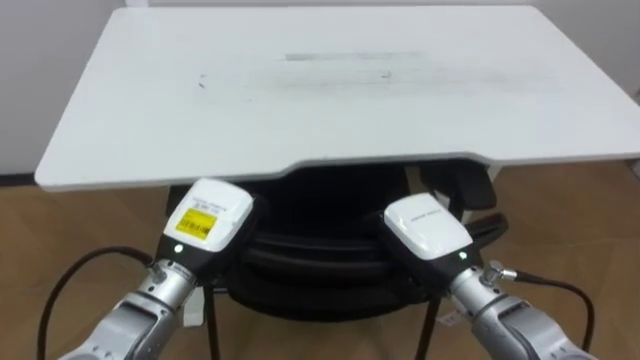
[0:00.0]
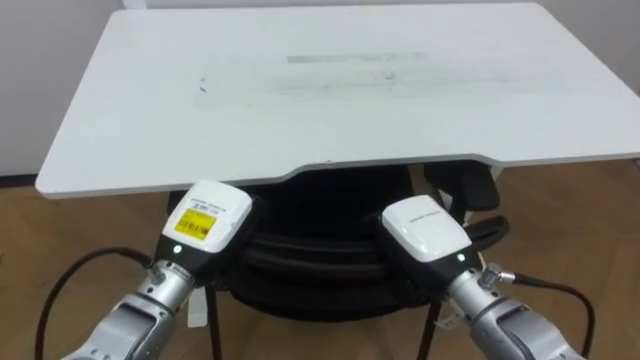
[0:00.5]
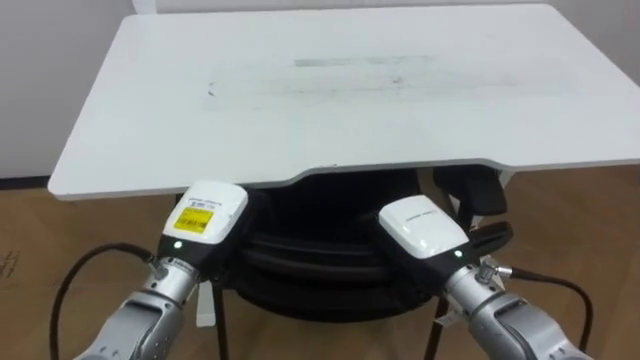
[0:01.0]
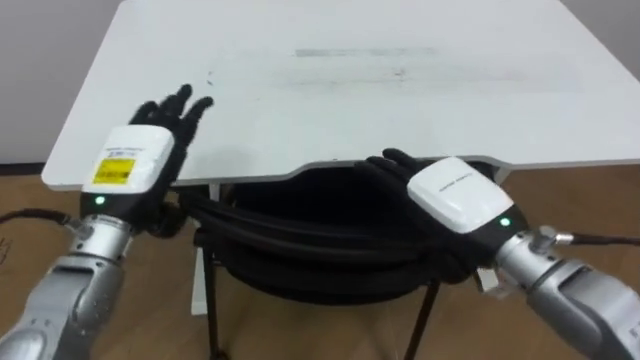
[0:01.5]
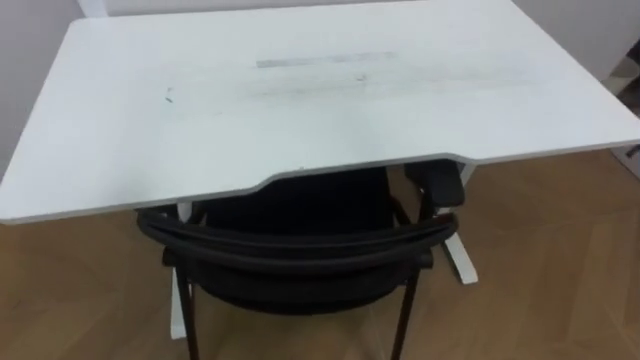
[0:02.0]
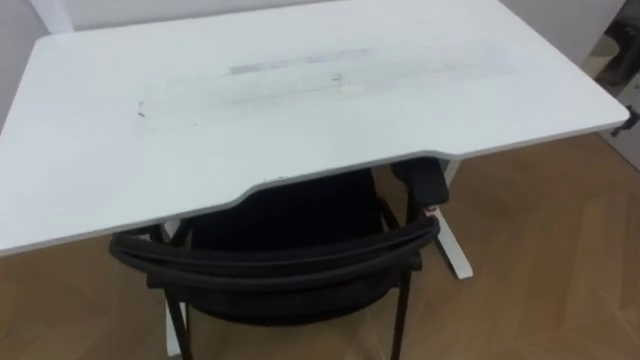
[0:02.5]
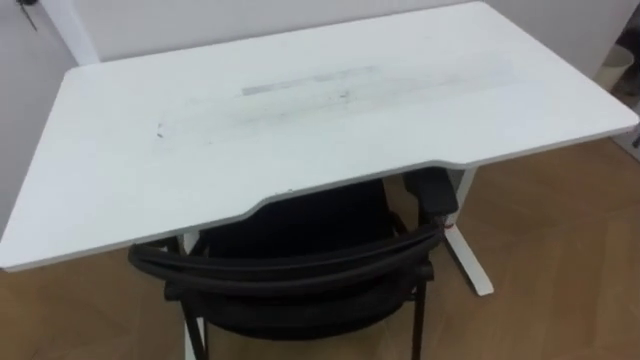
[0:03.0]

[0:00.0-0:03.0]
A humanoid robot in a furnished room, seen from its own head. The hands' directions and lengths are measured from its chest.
Task of the whole recording: Push the chair under the table.
0:00.0 to 0:01.5: The left hand travels to the left and upward by roughly 10 cm, and opens. The right hand shifts approximately 5 cm upward, and opens up.

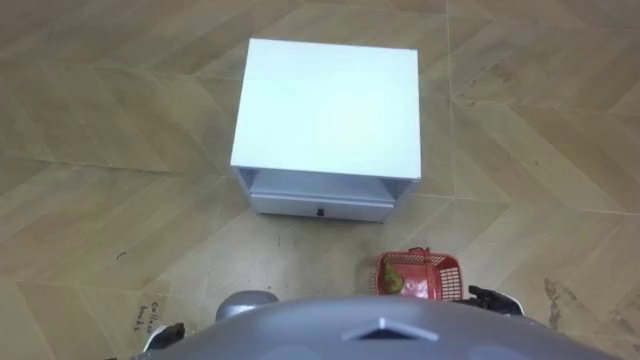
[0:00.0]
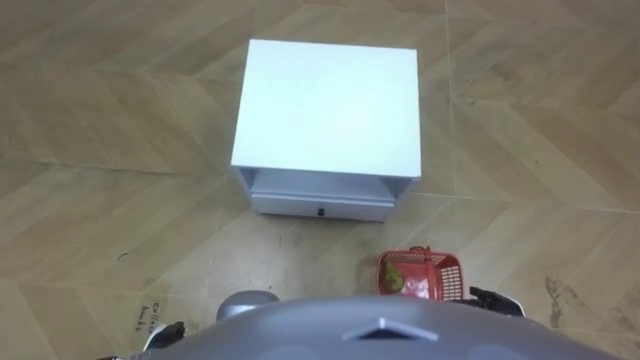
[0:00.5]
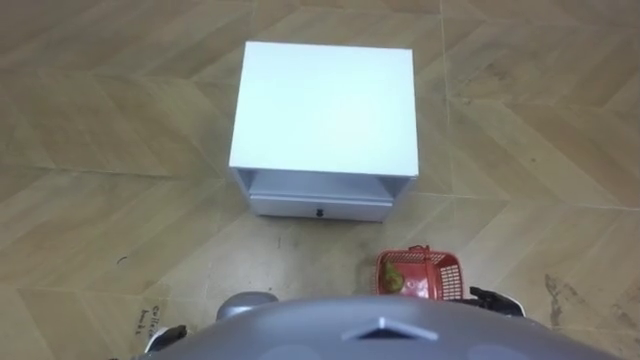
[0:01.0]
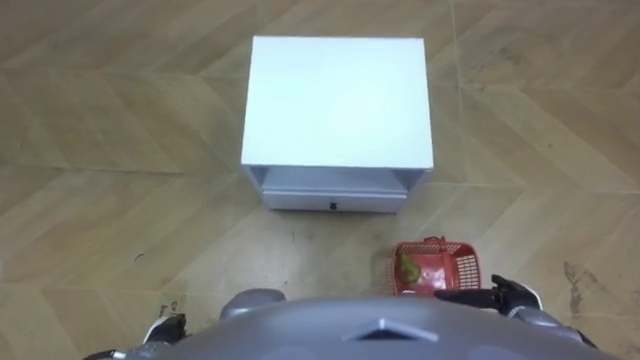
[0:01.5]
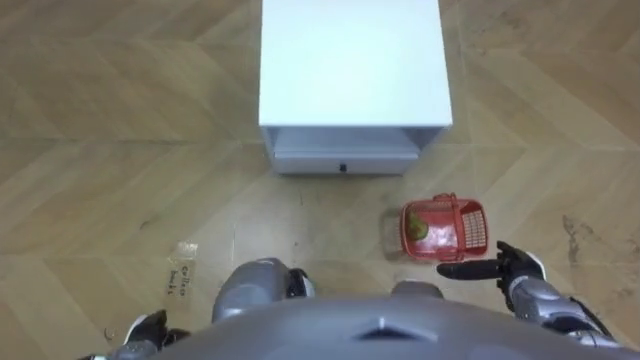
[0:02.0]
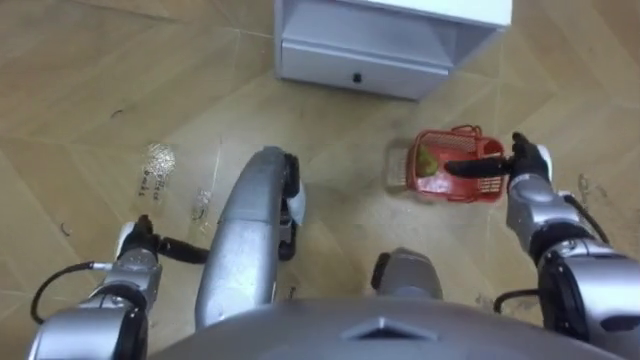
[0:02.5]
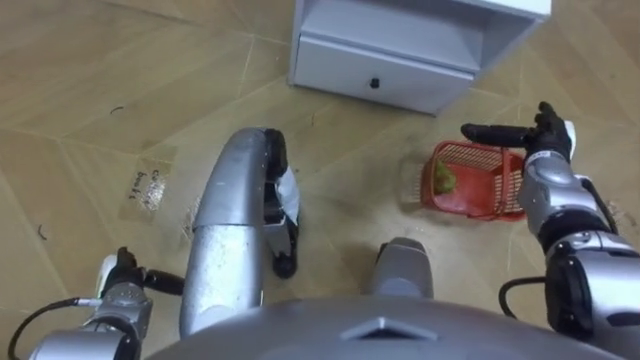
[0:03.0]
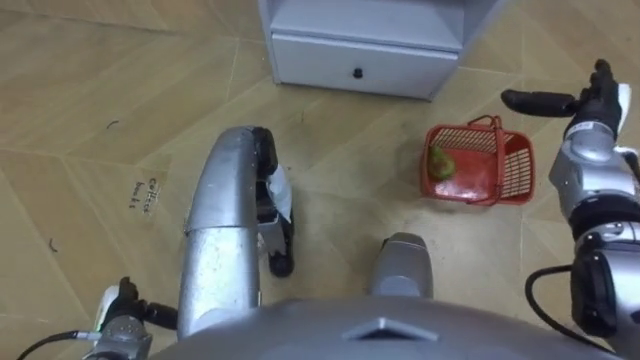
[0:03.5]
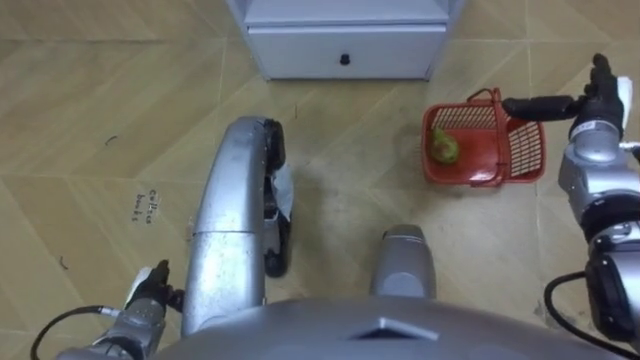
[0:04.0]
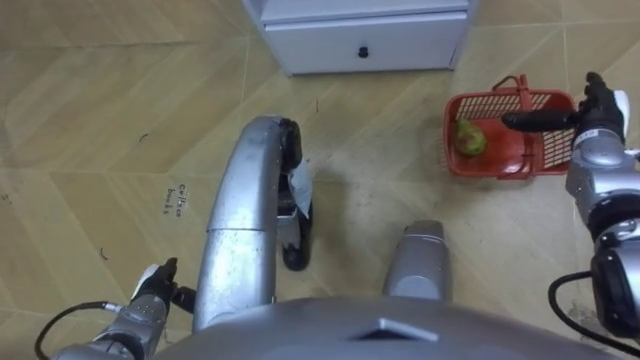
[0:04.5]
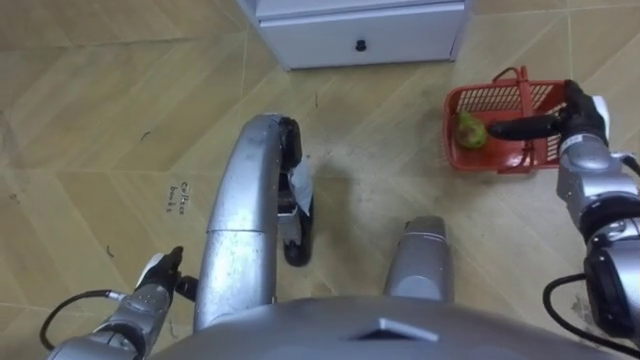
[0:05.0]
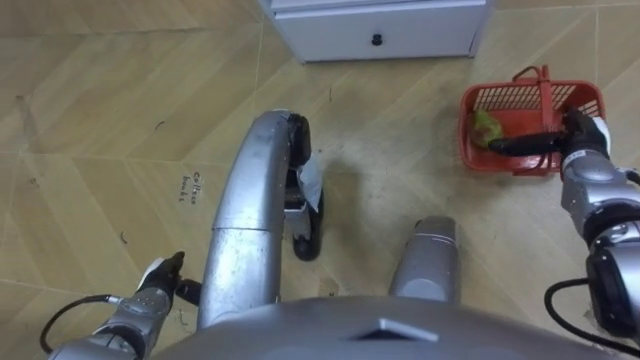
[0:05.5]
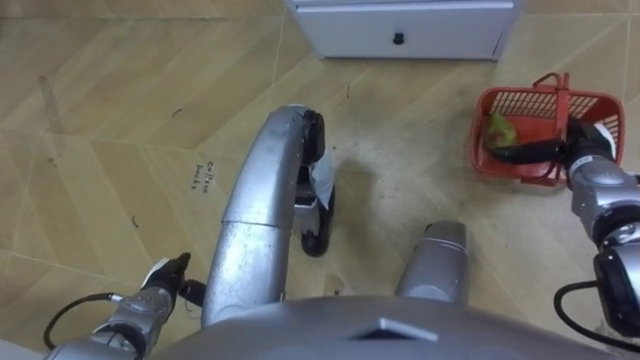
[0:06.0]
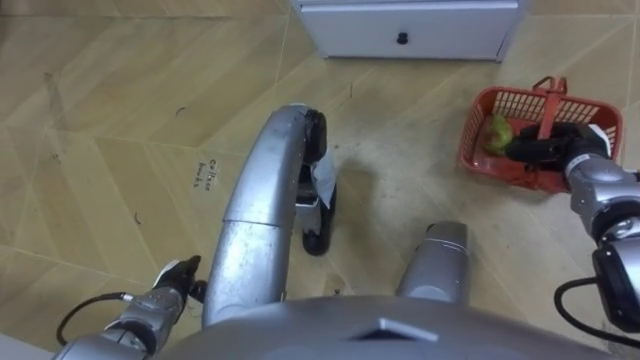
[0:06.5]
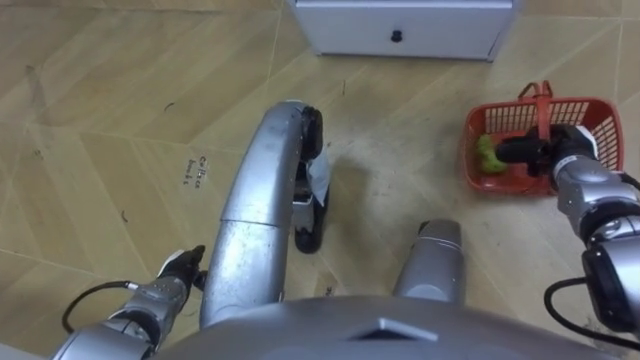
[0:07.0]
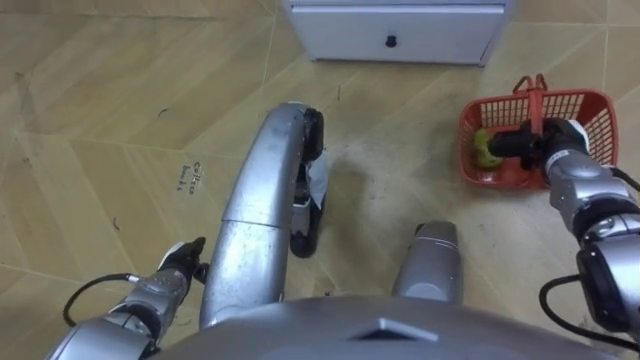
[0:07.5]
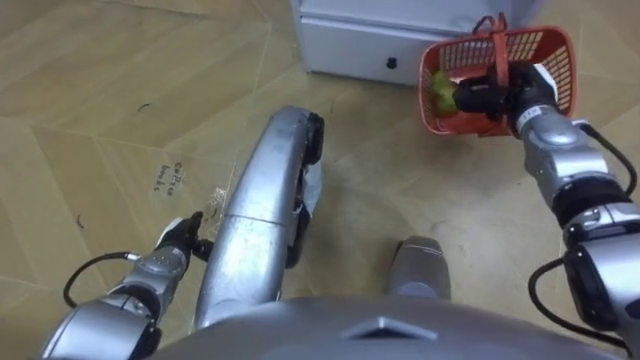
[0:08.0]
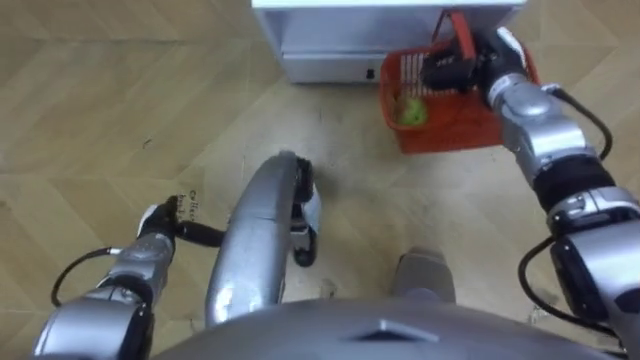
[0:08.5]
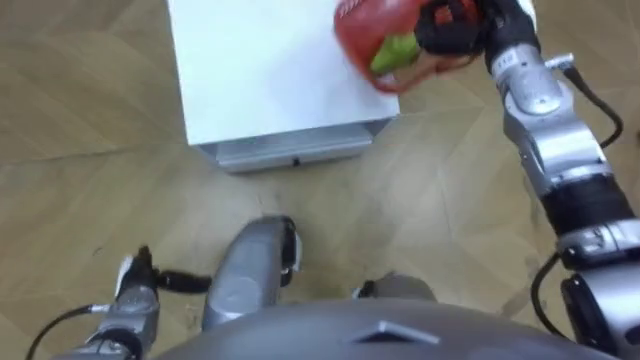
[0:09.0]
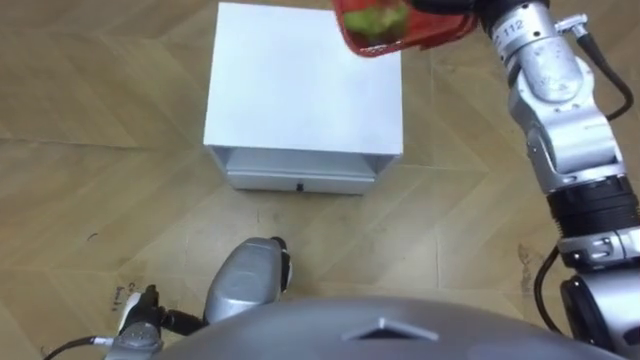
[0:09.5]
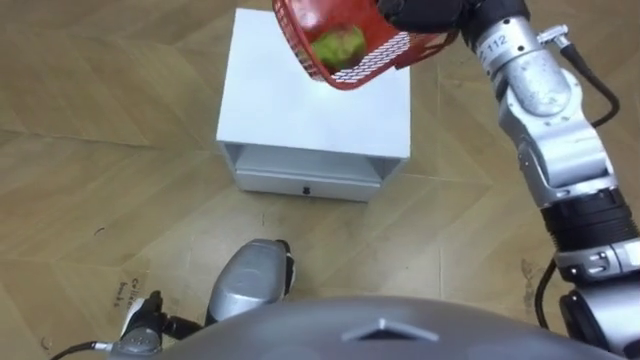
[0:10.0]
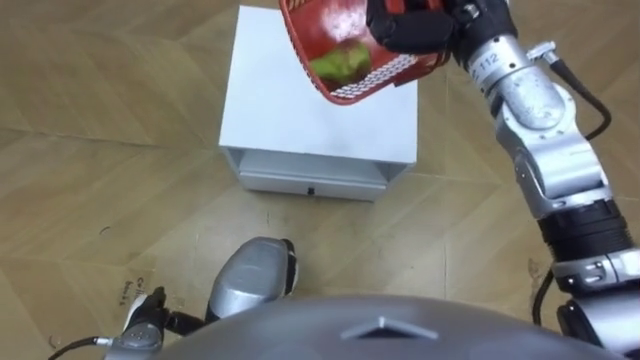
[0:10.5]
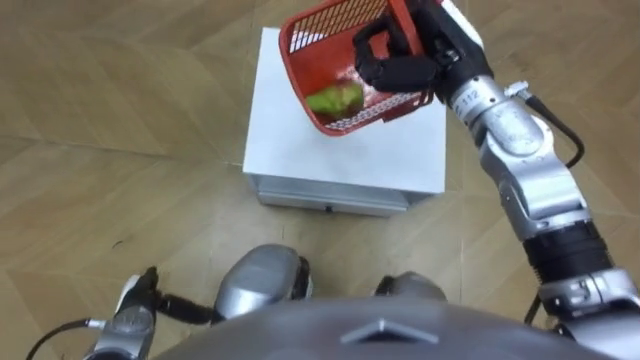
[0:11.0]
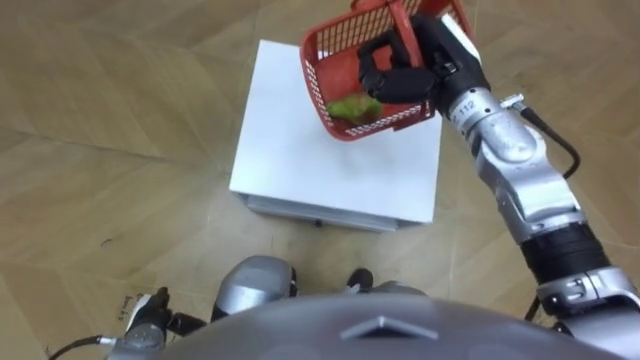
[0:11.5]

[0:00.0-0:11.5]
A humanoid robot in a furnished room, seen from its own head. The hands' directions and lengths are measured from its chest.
Task of the whole recording: Pick up the fruit basket from the floor and place it on the cabinet.
0:02.0 to 0:04.0: The left hand travels forward by about 5 cm. The right hand shifts some 25 cm forward and upward.
0:04.0 to 0:06.0: The right hand shifts by some 5 cm.
0:06.0 to 0:07.5: The right hand closes its fingers.
0:07.5 to 0:09.5: The left hand heads backward and to the left, covering approximately 10 cm.

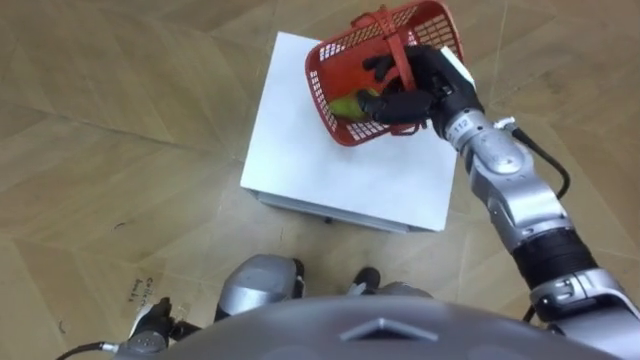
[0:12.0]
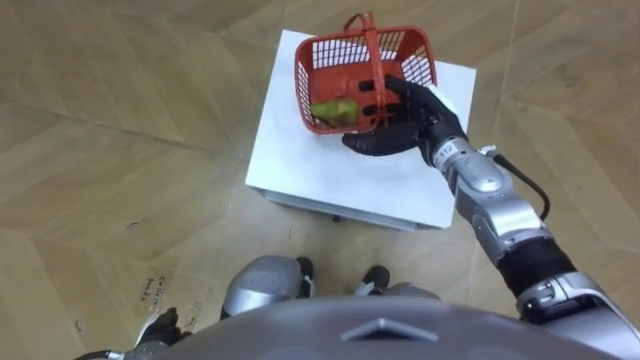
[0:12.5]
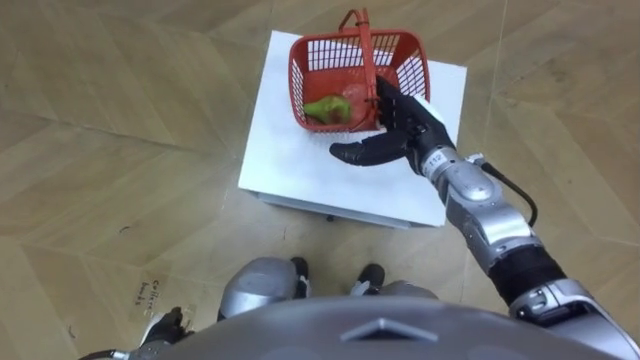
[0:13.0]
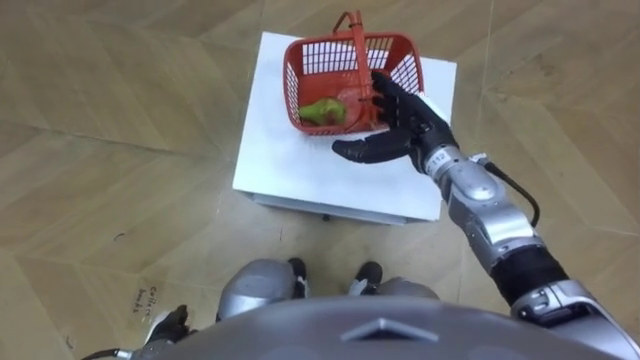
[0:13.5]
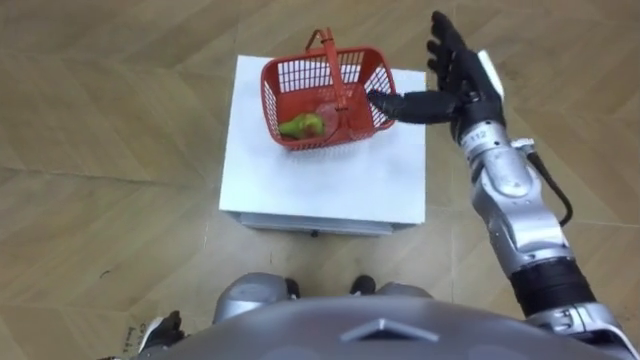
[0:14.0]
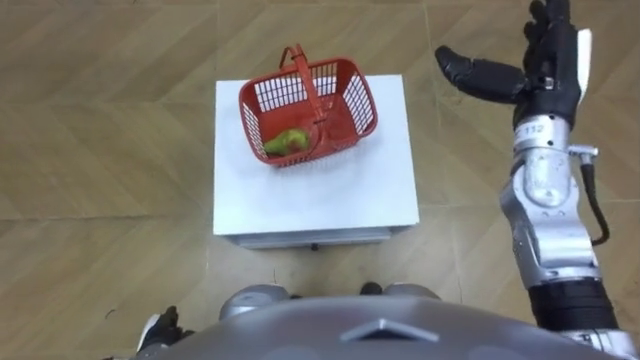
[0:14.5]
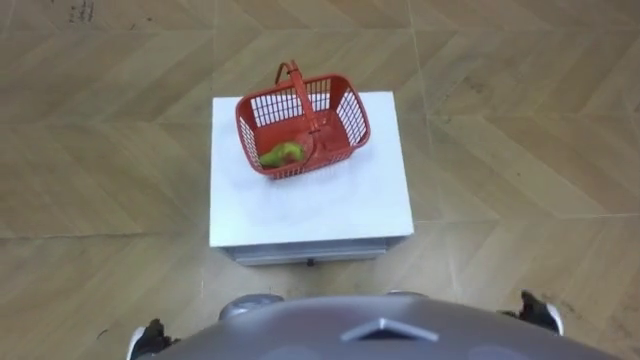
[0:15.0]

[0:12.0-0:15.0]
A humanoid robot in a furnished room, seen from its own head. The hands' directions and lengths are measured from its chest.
Task of the whole recording: Pick up the fruit basket from the floor and place it on the cabinet.
0:12.0 to 0:13.5: The right hand shifts approximately 5 cm downward, and opens up.
0:13.5 to 0:15.0: The right hand travels backward, to the right and downward by approximately 35 cm.

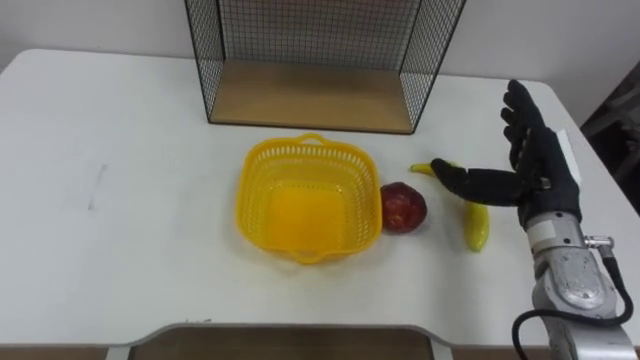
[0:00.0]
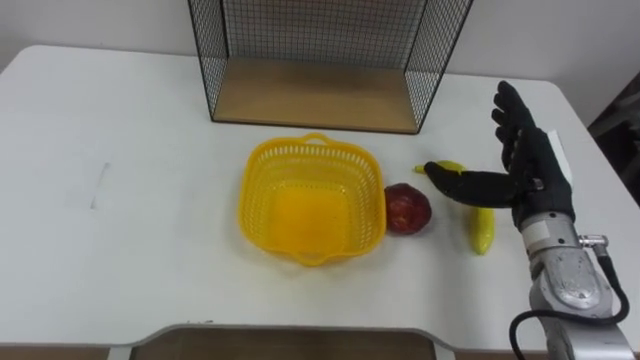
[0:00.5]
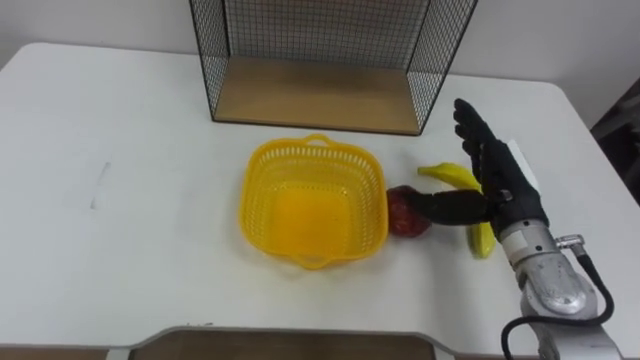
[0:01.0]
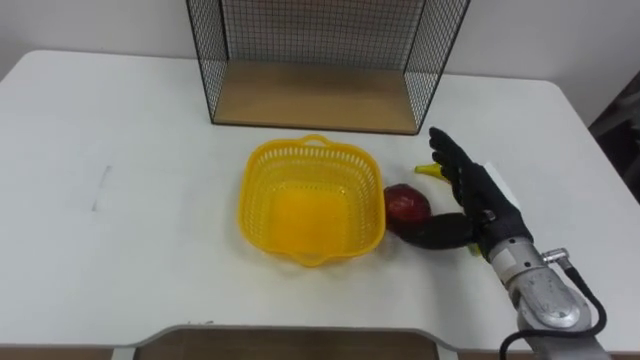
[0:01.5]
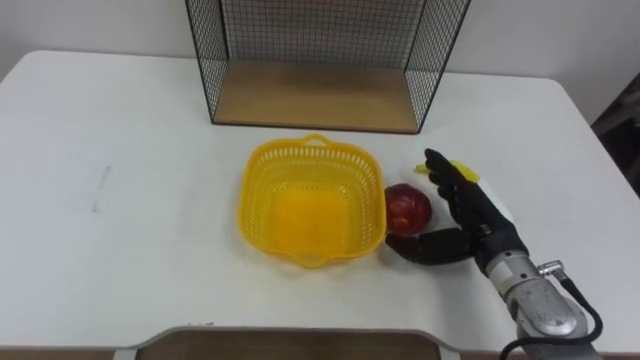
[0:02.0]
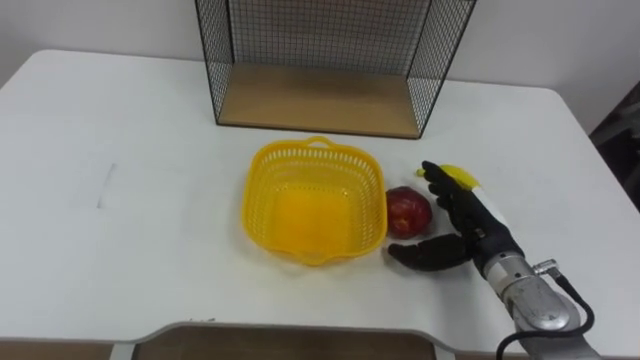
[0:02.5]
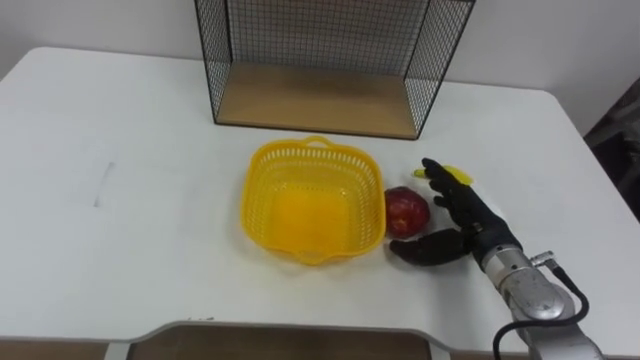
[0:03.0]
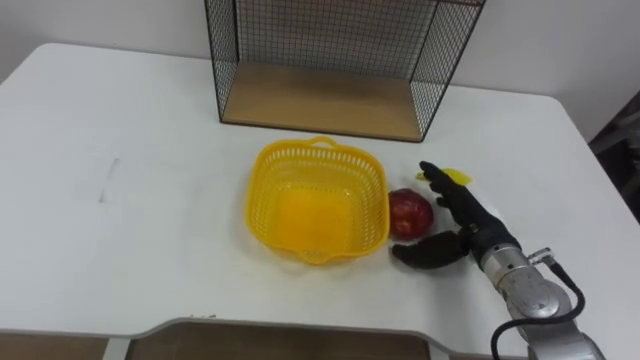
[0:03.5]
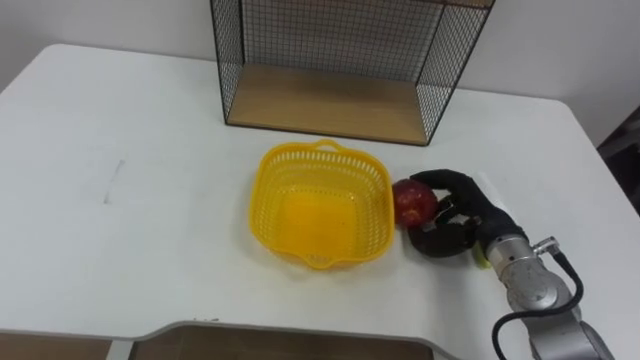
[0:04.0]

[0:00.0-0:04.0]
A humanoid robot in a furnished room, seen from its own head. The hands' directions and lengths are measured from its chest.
Task of the whole recording: Put the fruit on the table into the basket, then place the basket on the shelf.
0:00.0 to 0:02.0: The right hand travels downward and to the left by roughly 10 cm.
0:02.0 to 0:04.0: The right hand closes its fingers.
